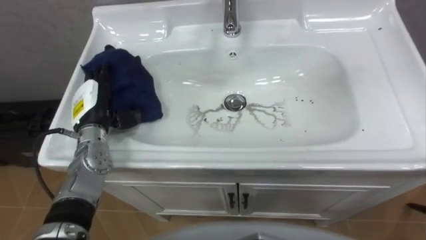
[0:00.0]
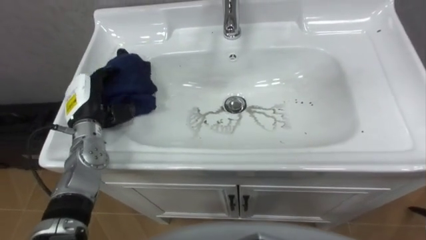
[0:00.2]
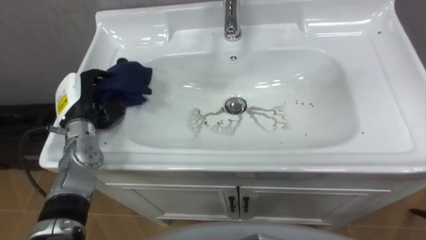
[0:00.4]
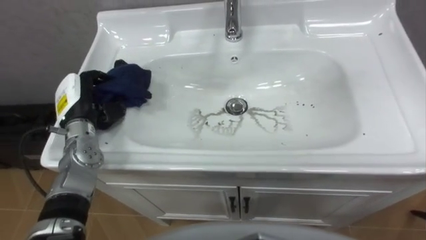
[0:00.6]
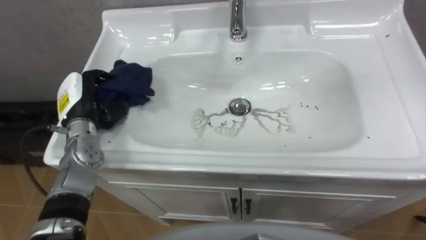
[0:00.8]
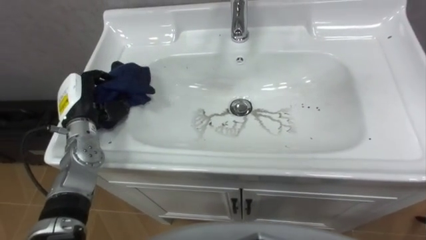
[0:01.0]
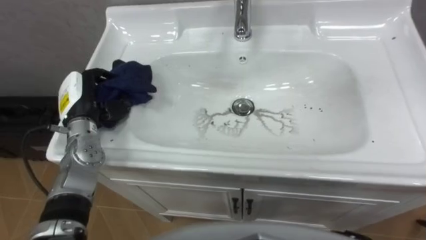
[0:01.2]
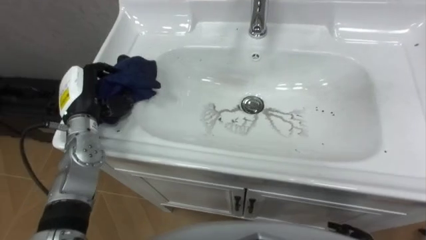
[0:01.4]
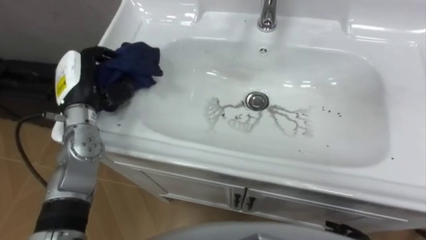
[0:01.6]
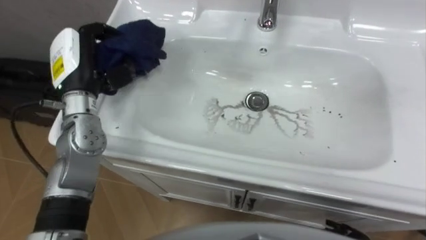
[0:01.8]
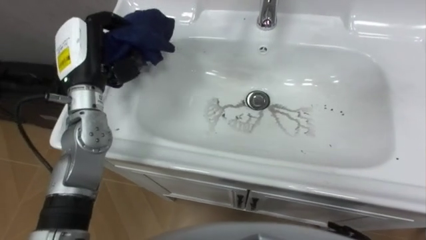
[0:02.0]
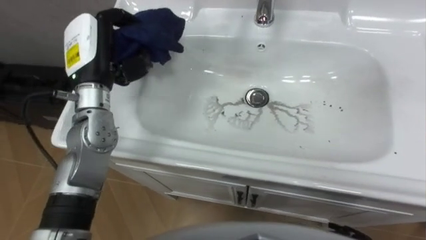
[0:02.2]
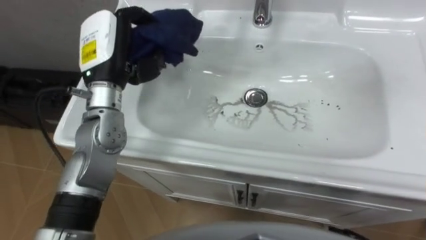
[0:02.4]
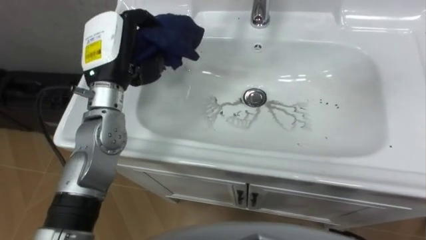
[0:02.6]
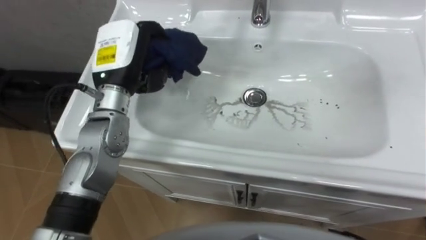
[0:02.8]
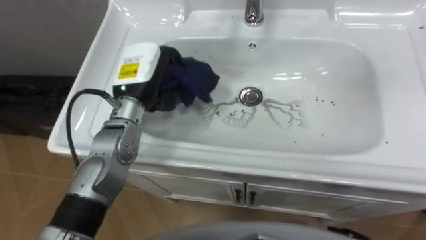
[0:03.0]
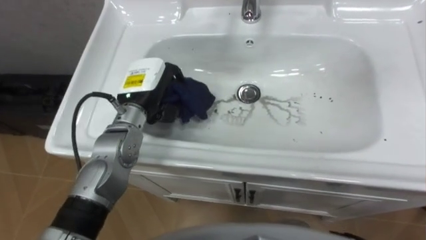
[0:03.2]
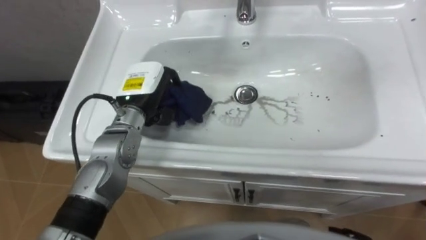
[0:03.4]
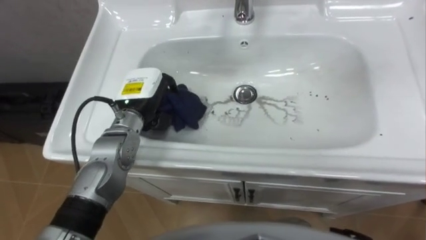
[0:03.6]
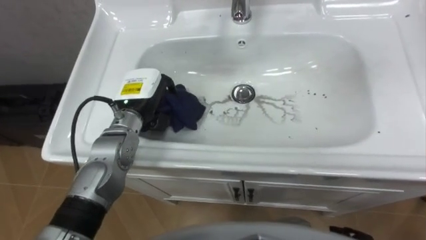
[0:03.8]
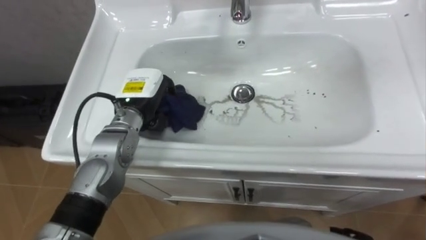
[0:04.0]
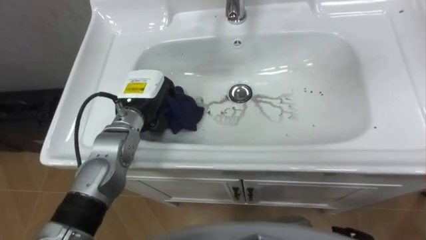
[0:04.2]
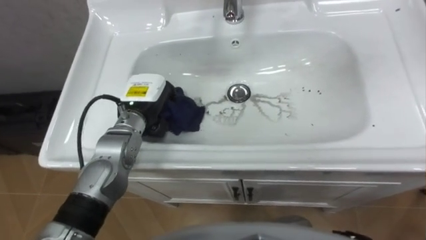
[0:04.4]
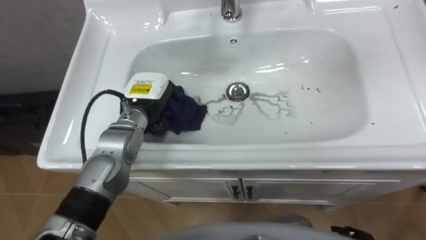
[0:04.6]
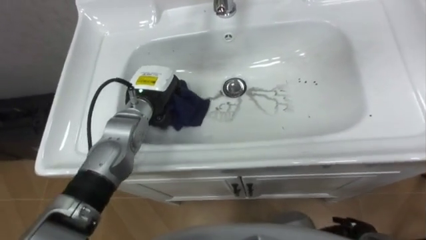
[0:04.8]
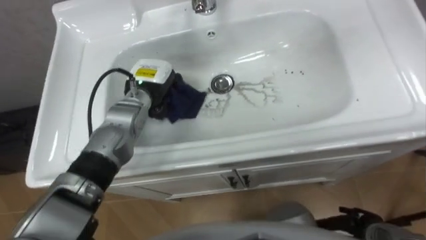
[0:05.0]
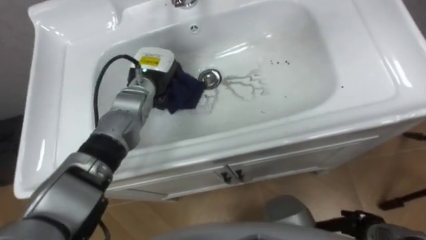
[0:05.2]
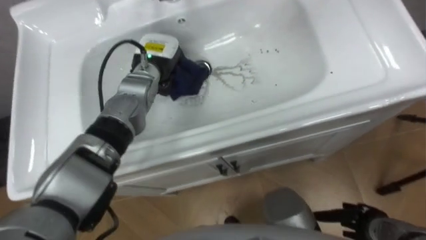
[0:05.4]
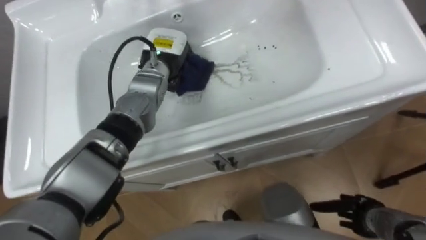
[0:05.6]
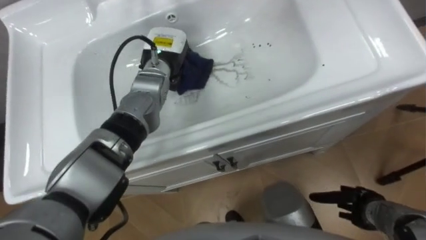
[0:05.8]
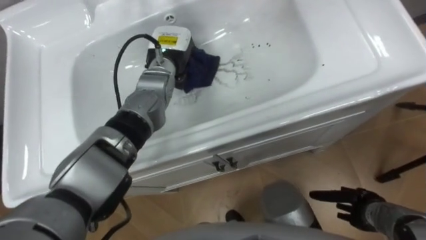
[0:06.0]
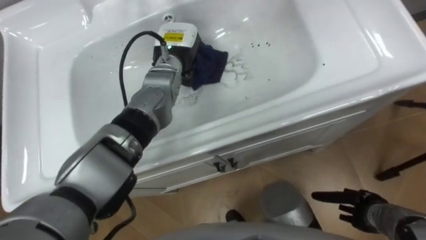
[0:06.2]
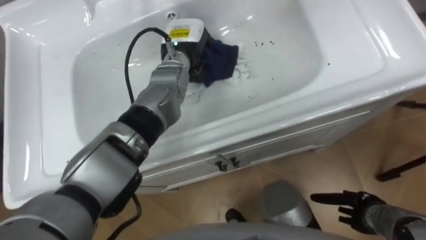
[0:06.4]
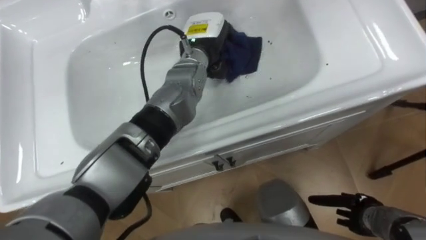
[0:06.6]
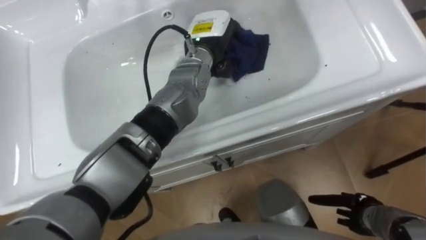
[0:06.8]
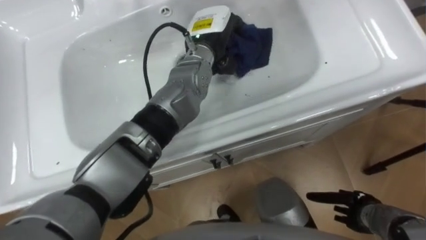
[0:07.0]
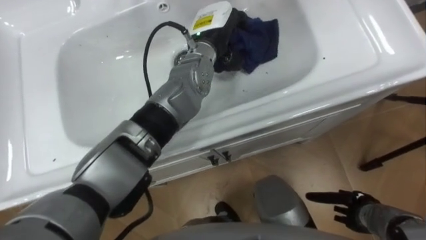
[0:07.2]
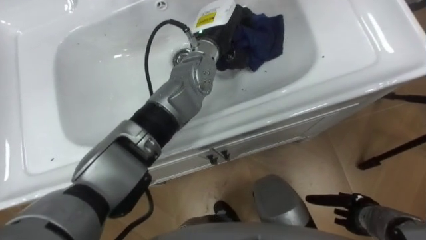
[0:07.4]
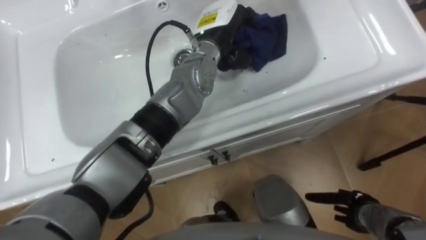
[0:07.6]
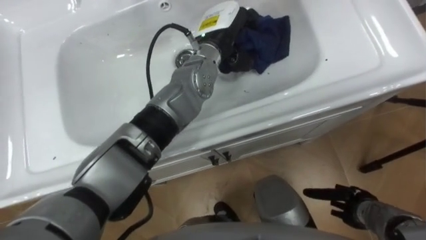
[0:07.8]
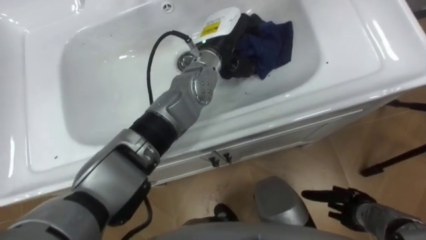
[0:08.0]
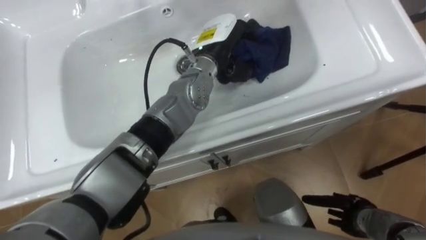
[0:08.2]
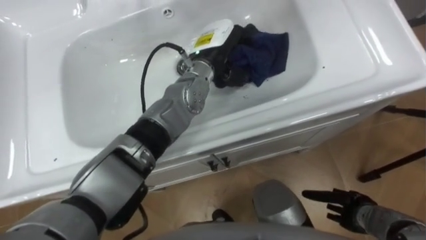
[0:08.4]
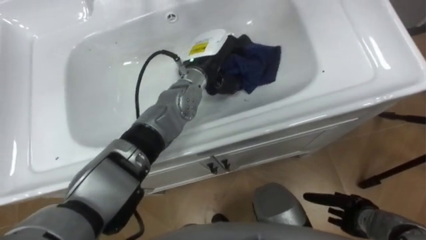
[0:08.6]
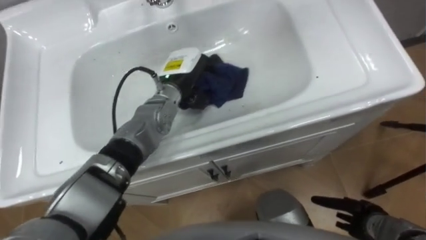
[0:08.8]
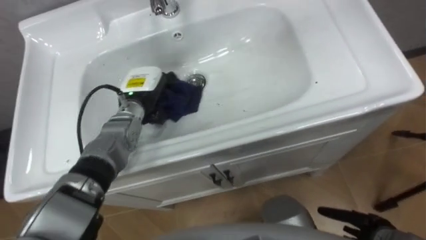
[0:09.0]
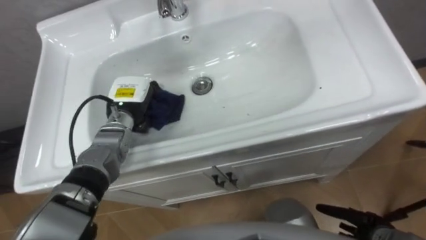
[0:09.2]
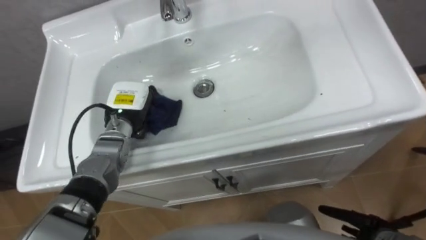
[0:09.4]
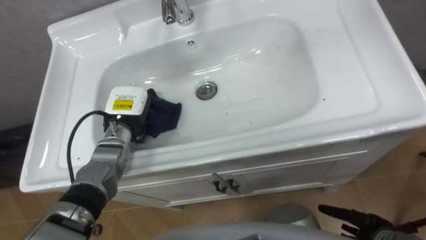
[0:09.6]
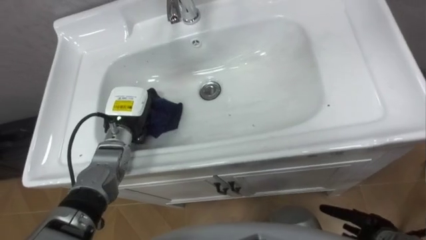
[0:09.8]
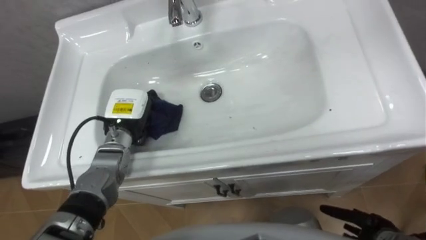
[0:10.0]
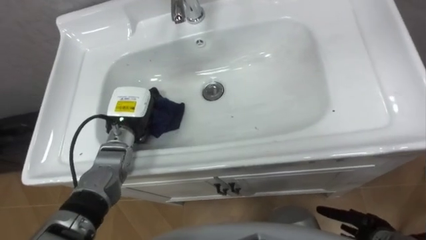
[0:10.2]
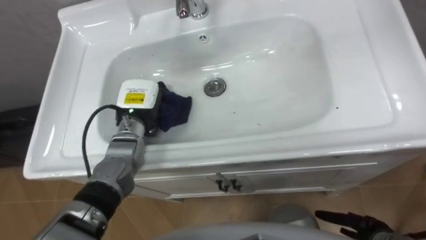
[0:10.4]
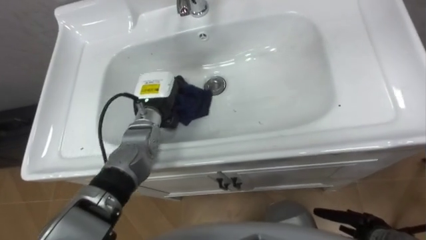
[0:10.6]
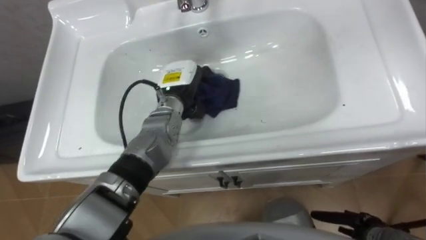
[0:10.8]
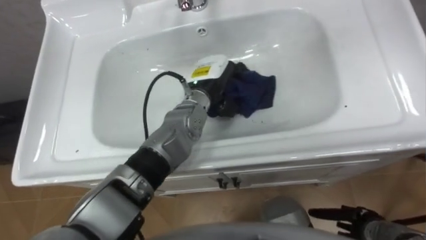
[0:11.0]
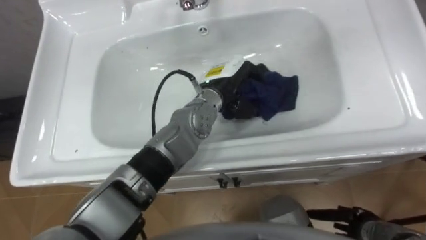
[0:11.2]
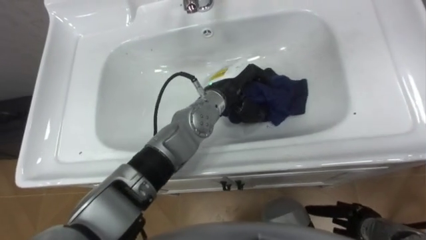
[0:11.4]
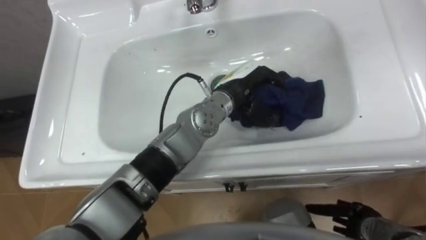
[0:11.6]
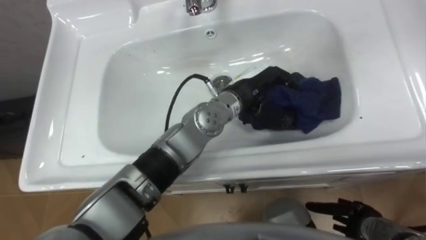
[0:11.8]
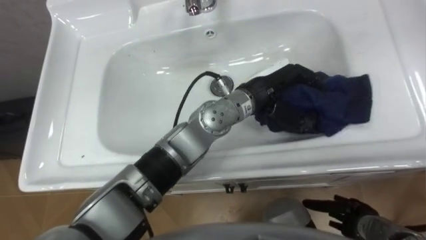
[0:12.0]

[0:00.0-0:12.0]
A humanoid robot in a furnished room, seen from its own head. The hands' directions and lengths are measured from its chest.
Task of the whole recording: Use the cloth on the right to wipe away the black stain in the sink.
0:00.0 to 0:01.6: The left hand shifts some 5 cm upward, and closes its fingers.
0:01.6 to 0:03.0: The left hand moves to the right, roughly 10 cm.
0:03.0 to 0:04.4: The left hand is displaced downward by about 5 cm.
0:04.4 to 0:06.0: The left hand moves forward and to the right, approximately 10 cm.
0:06.0 to 0:07.6: The left hand goes about 10 cm to the right and upward.
0:07.6 to 0:09.0: The left hand is displaced to the left and downward by some 20 cm.
0:10.4 to 0:12.0: The left hand is displaced to the right and upward by about 30 cm.

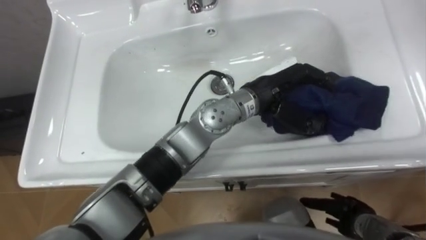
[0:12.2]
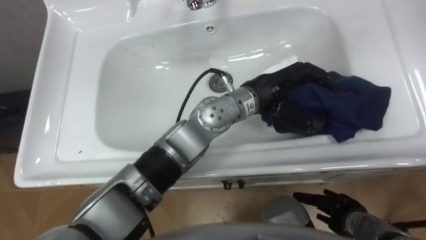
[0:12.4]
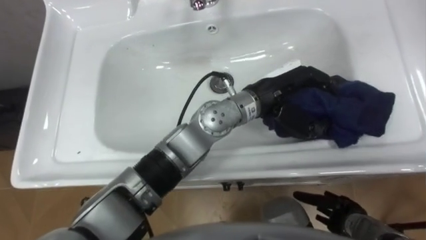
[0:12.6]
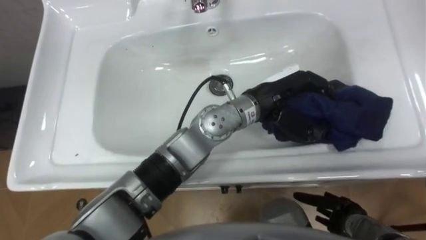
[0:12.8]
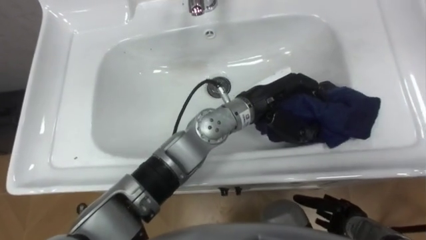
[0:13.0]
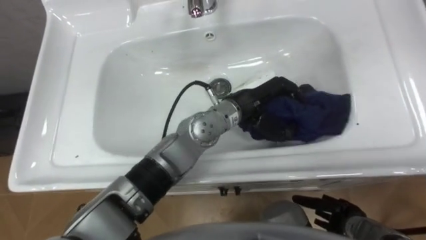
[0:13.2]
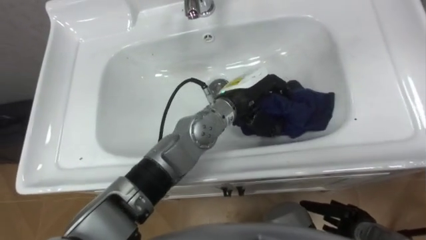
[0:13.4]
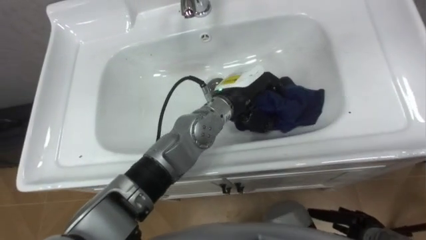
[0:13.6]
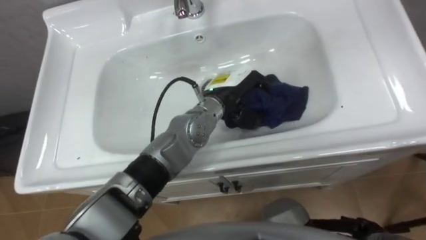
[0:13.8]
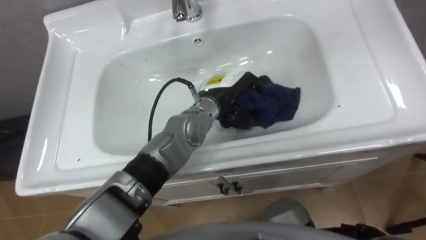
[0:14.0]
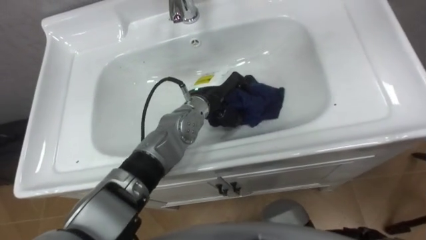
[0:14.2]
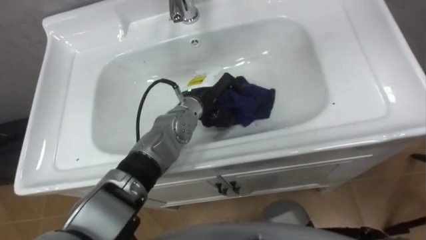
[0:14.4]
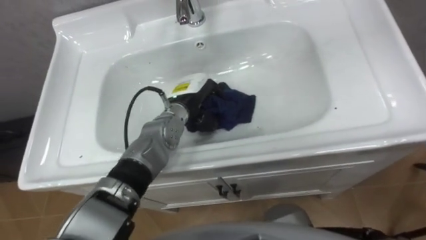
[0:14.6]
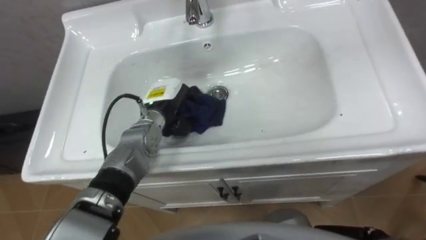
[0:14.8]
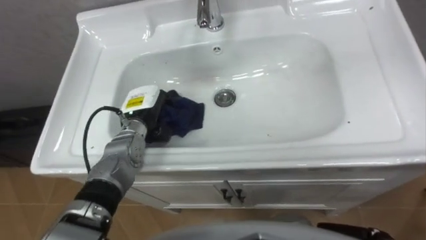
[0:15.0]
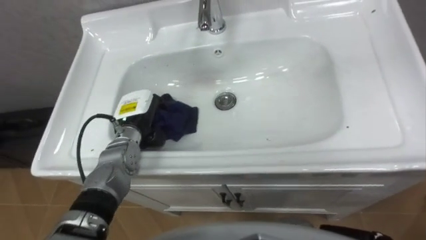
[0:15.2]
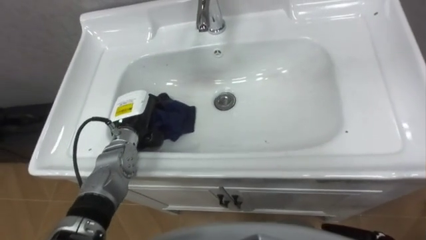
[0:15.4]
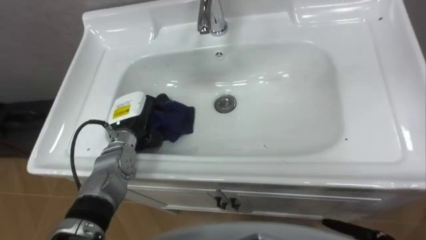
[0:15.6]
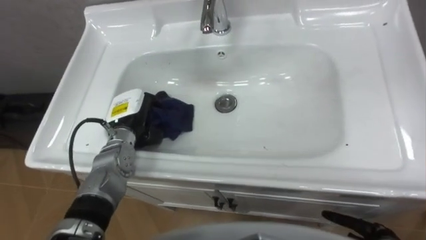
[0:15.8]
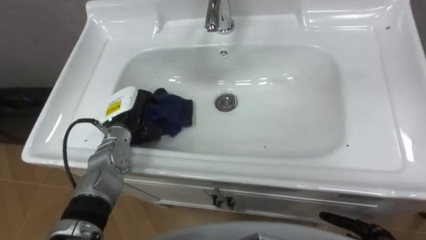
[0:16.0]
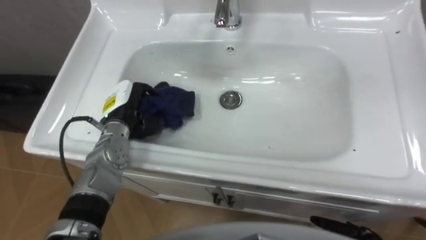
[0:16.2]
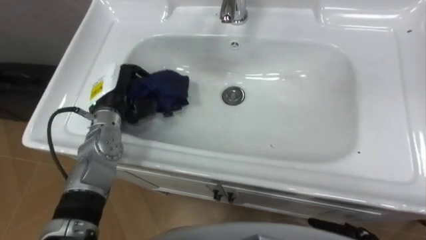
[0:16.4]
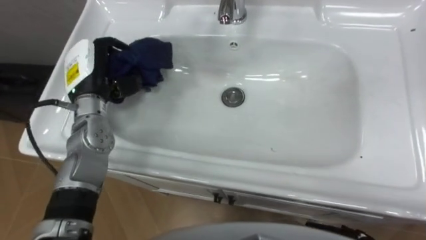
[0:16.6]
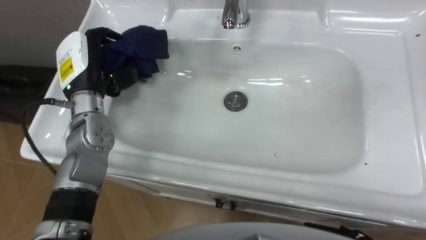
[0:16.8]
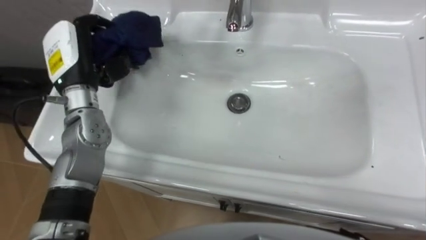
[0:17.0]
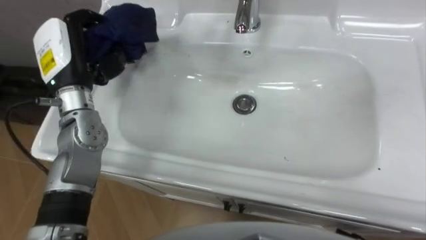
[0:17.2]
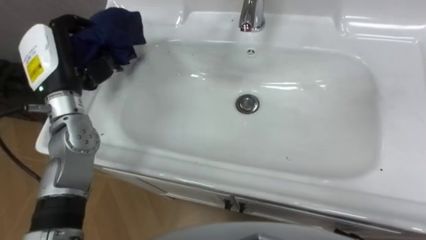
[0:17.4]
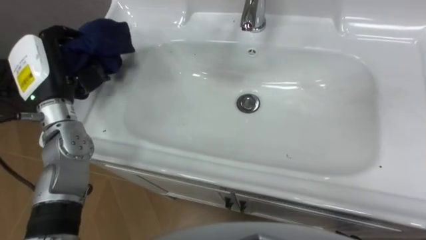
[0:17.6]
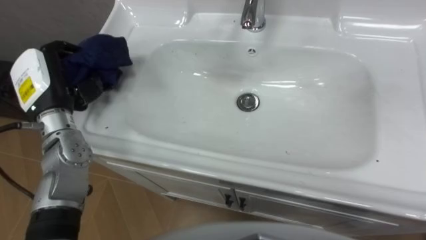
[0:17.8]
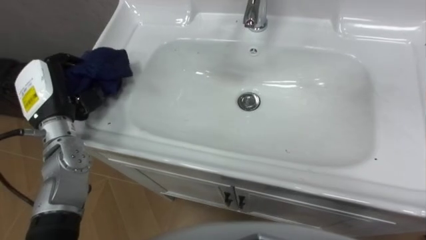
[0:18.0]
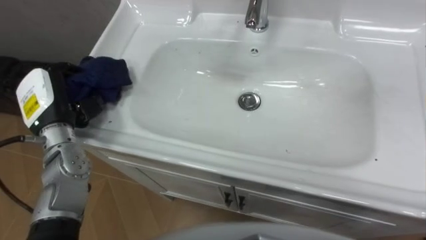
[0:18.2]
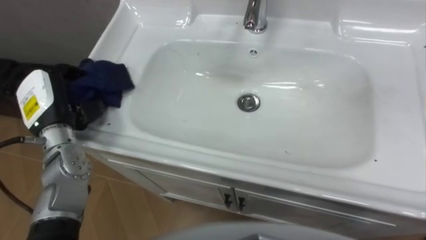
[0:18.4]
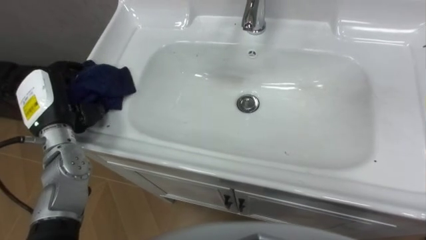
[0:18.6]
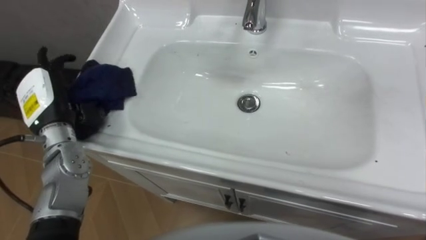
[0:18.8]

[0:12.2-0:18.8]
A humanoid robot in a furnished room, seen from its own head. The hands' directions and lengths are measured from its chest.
Task of the whole recording: Use the cloth on the right to wipe away the black stain in the sink.
0:12.2 to 0:13.8: The left hand is displaced to the left and downward by some 10 cm.
0:13.8 to 0:15.4: The left hand travels to the left by some 20 cm.
0:15.4 to 0:17.2: The left hand travels upward and to the left by approximately 20 cm.
0:17.2 to 0:18.8: The left hand is displaced downward and to the left by roughly 10 cm, and opens its fingers.
